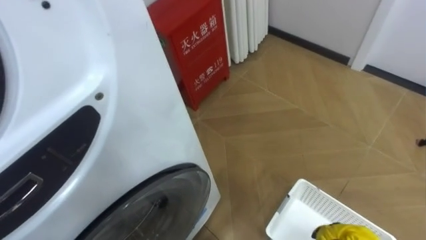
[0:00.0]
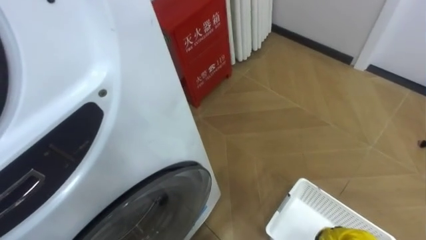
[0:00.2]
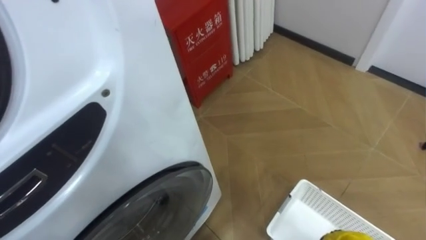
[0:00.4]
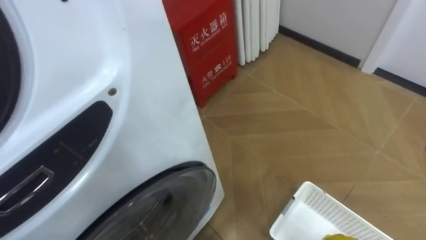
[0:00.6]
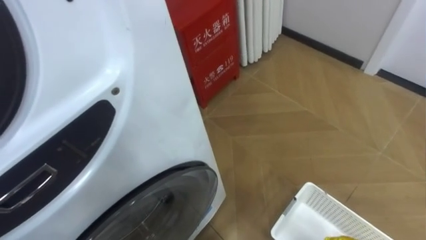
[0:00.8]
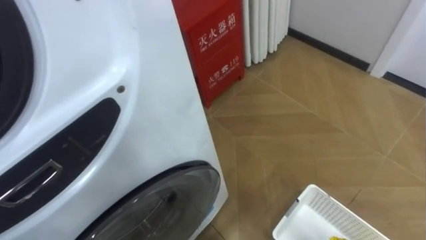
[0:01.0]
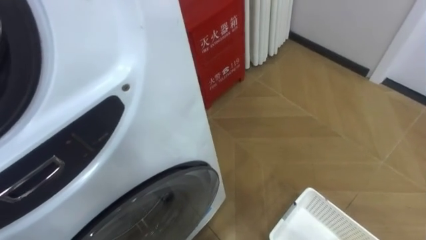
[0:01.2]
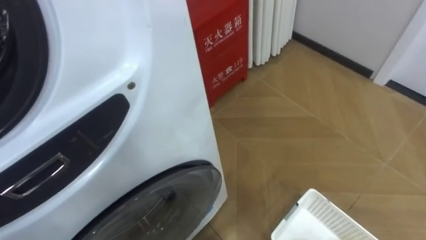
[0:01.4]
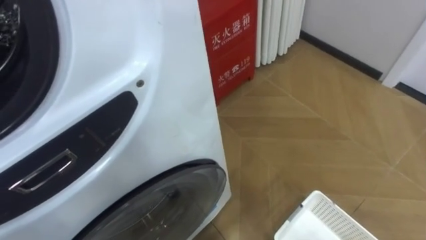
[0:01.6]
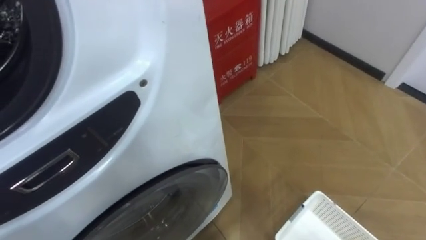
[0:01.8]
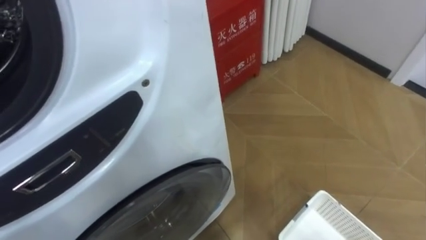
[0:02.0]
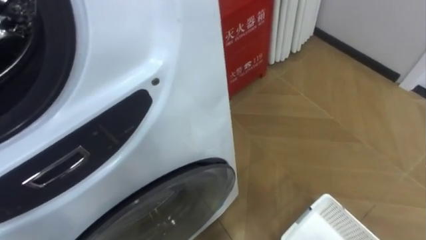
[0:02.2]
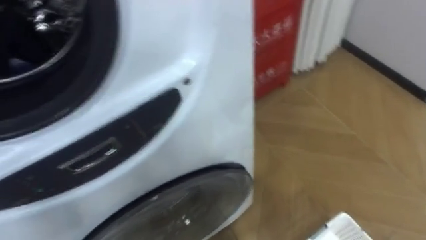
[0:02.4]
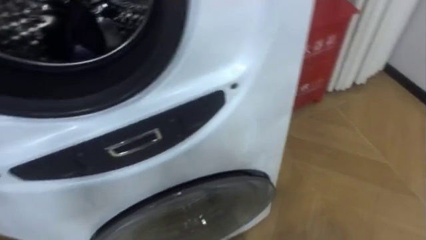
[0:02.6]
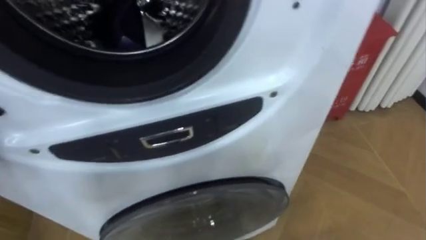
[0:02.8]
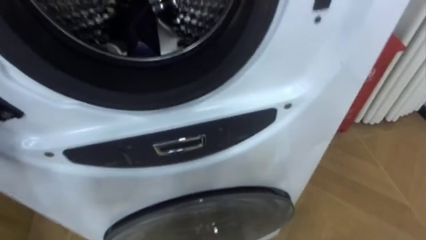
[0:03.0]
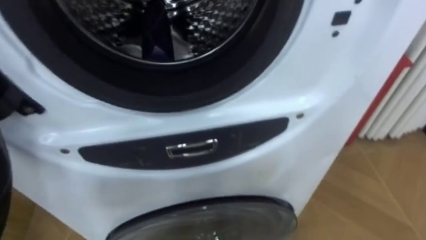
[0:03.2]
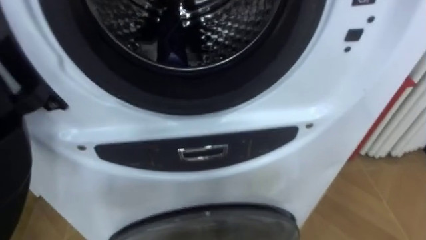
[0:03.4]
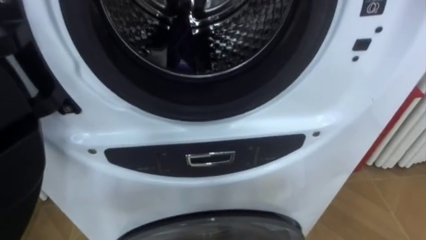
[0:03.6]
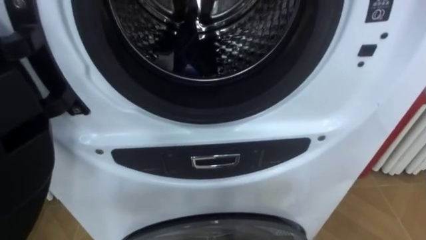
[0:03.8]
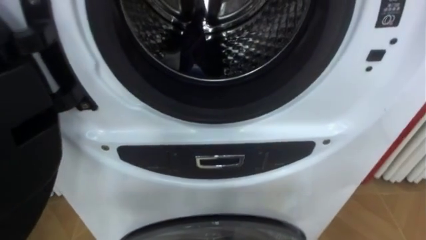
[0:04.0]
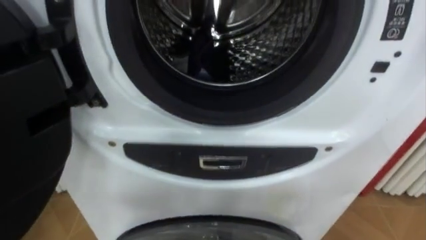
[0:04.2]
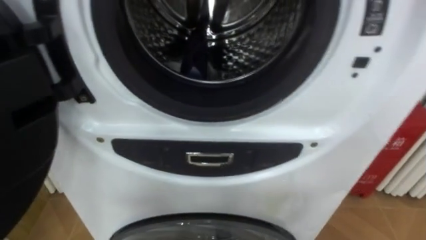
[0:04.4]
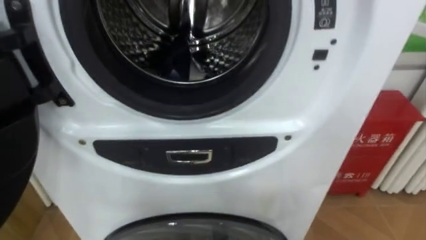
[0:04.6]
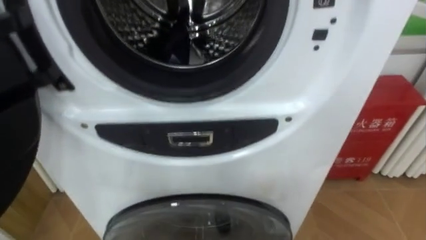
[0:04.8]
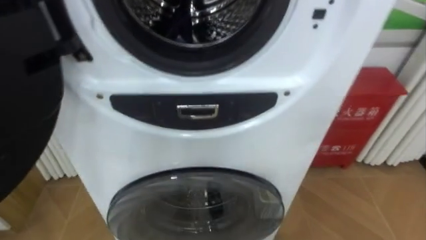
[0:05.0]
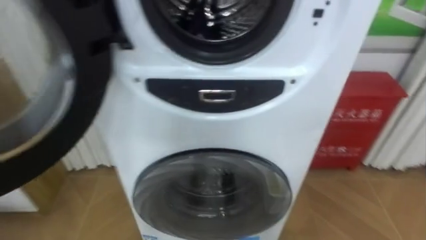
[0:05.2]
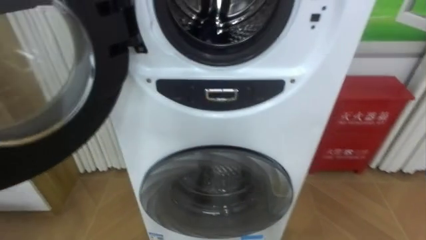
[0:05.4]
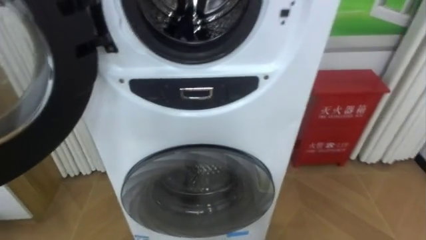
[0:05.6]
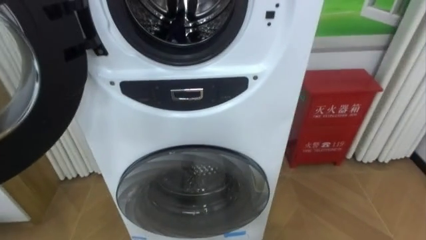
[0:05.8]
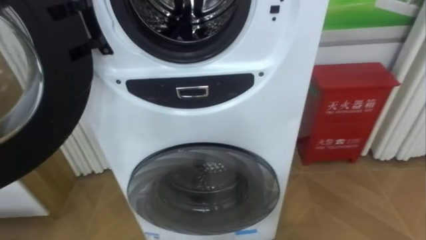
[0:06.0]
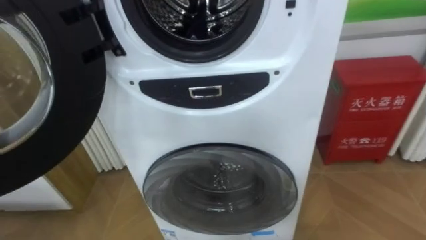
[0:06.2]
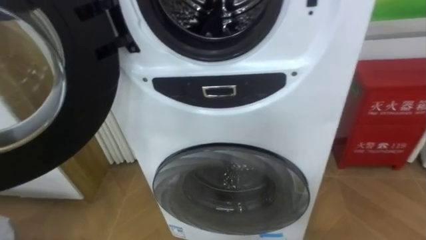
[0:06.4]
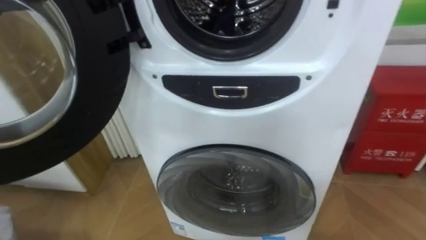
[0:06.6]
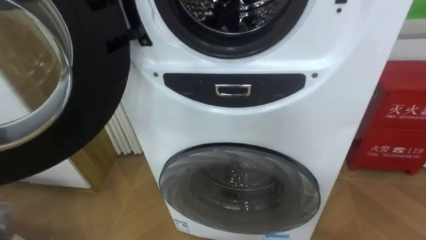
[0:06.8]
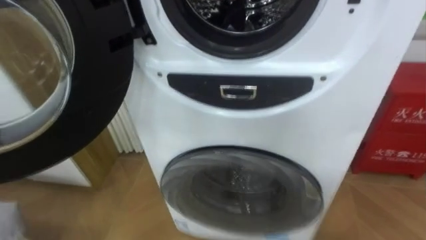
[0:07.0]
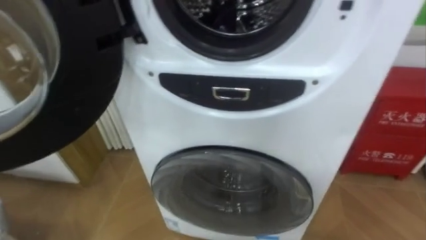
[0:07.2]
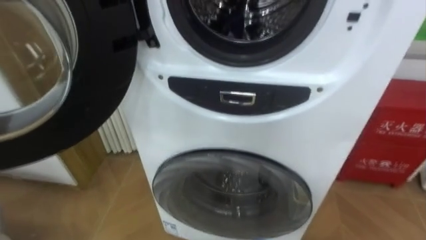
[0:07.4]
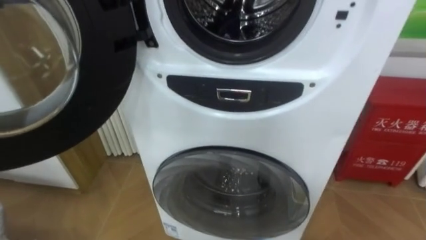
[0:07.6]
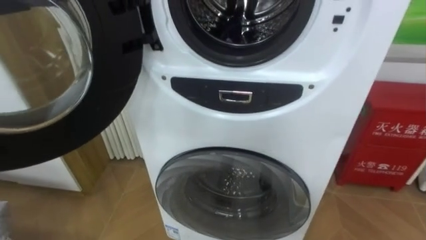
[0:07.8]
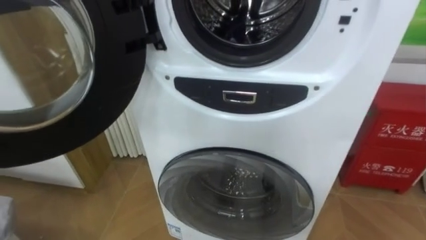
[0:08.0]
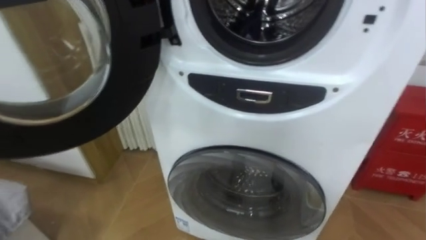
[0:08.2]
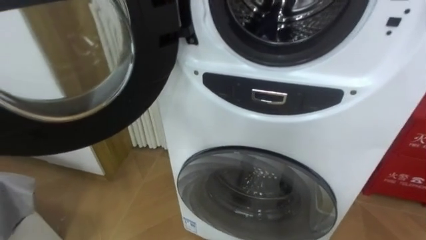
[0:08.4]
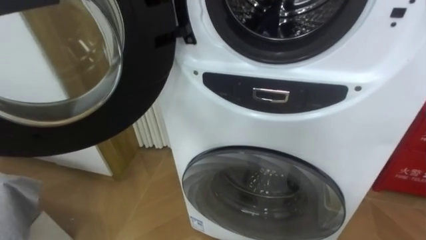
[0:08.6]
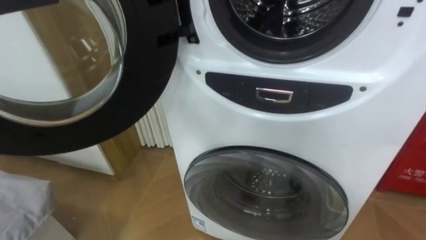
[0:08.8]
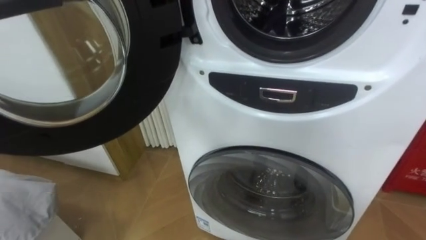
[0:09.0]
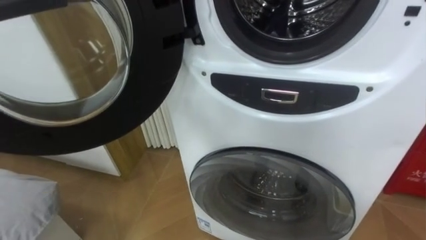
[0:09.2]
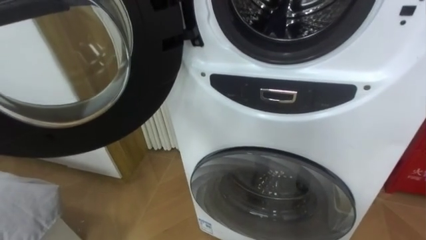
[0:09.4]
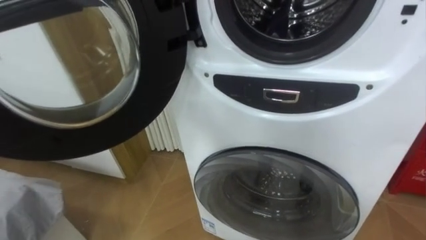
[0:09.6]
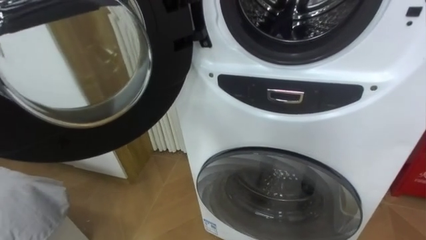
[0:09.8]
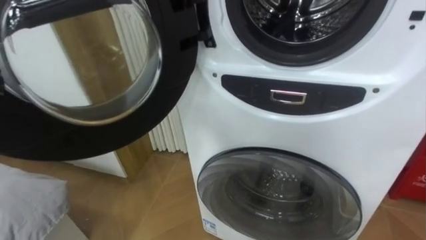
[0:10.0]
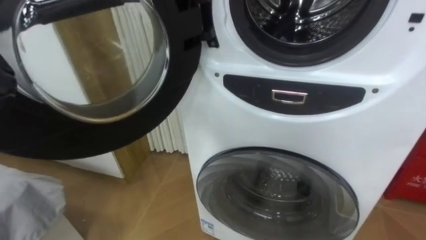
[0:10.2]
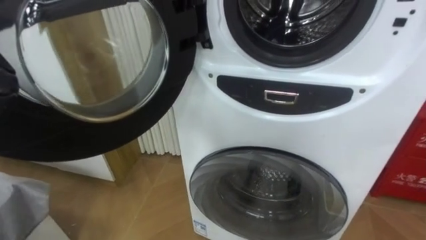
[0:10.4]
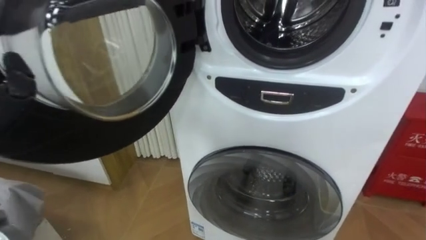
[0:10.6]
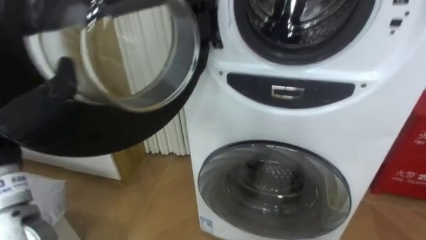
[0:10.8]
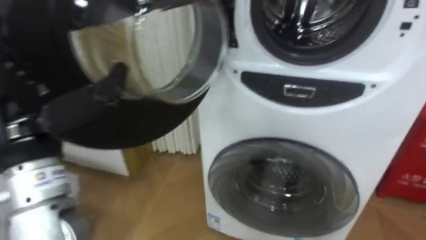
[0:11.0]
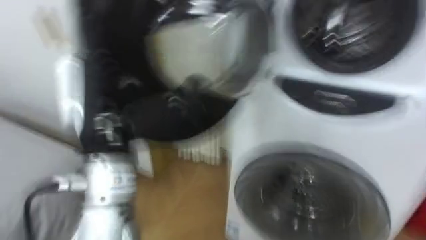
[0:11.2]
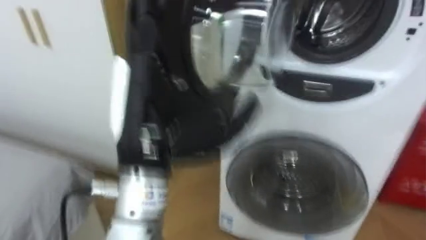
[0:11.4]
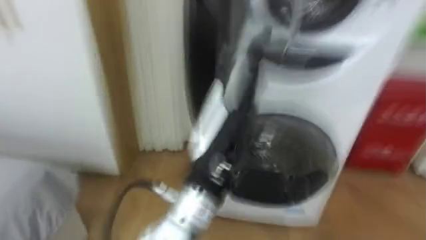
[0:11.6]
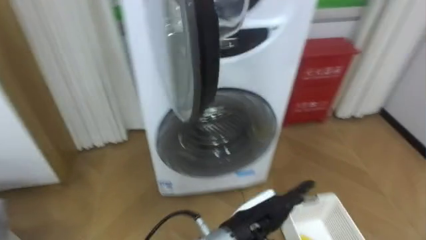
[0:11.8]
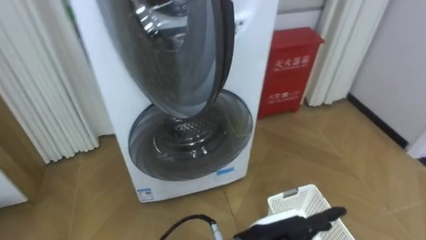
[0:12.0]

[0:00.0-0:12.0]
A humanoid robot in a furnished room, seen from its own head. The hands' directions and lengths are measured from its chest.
Task of the whole recording: Open the washing machine door, take out the yellow clothes, place them in the box on the right, and close the washing machine door.
0:01.6 to 0:03.0: The robot rotates roughly 20 degrees to its left.

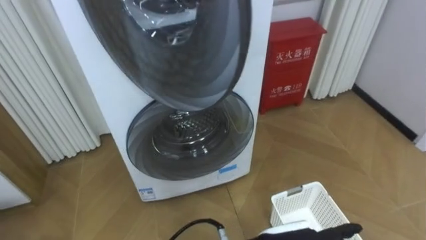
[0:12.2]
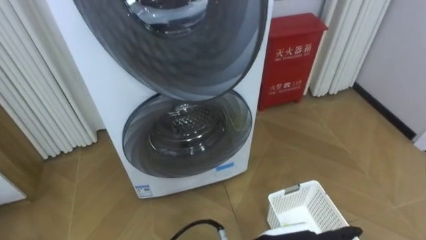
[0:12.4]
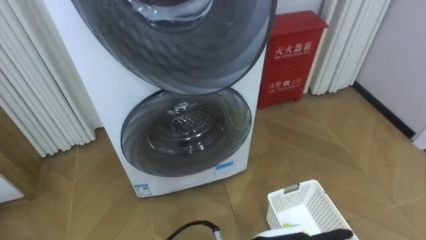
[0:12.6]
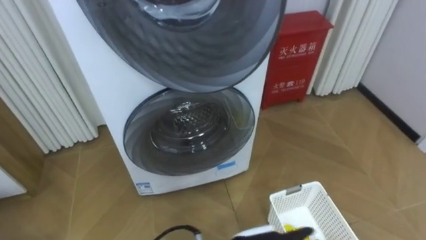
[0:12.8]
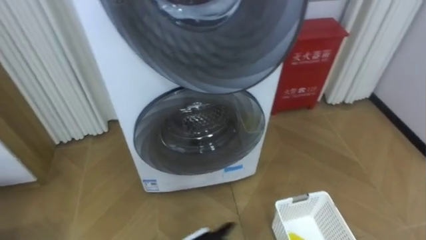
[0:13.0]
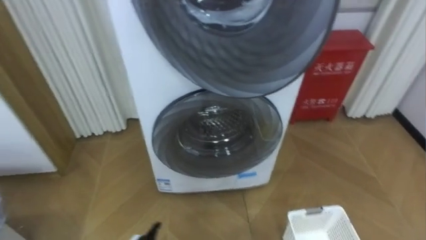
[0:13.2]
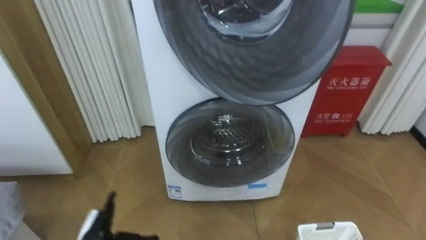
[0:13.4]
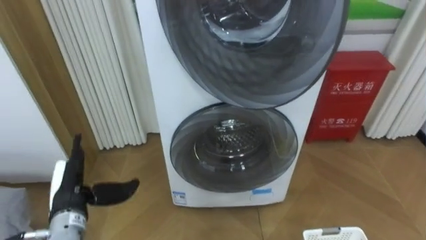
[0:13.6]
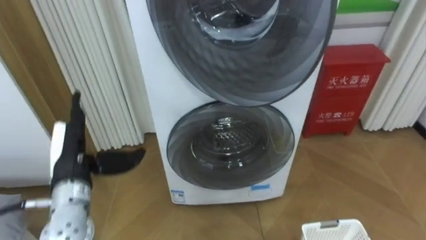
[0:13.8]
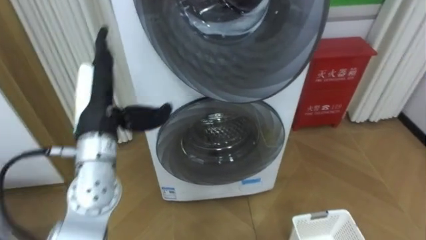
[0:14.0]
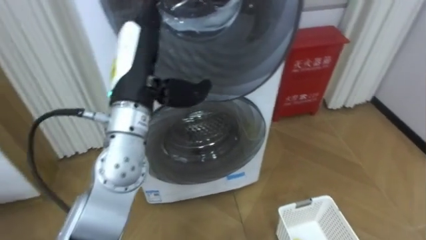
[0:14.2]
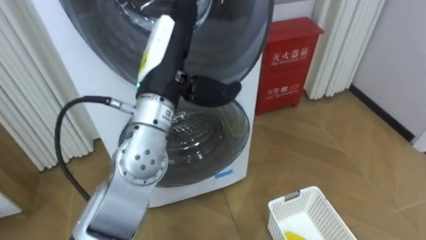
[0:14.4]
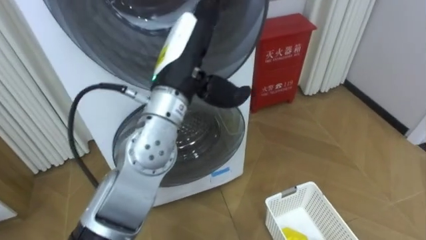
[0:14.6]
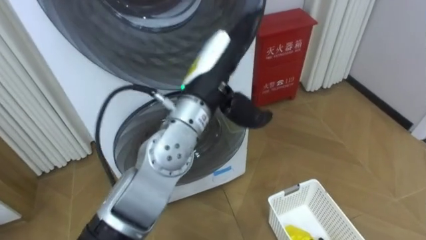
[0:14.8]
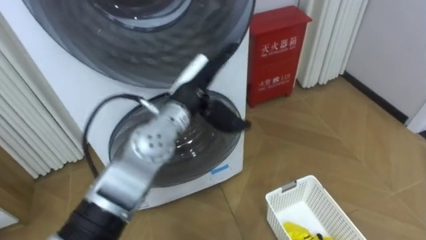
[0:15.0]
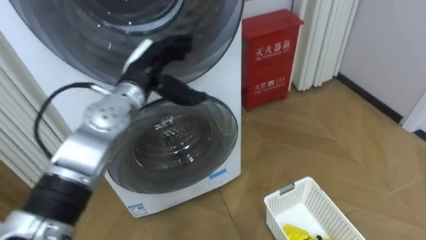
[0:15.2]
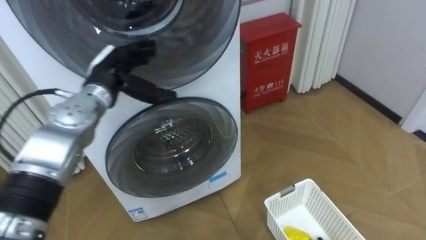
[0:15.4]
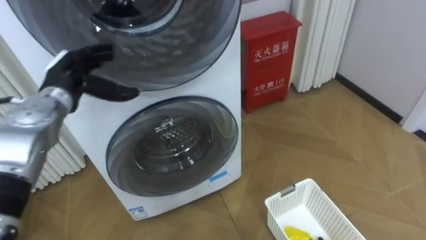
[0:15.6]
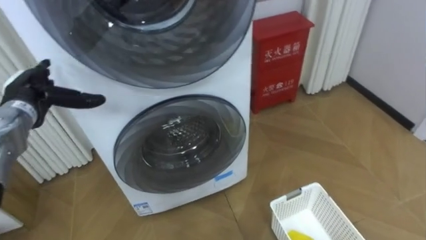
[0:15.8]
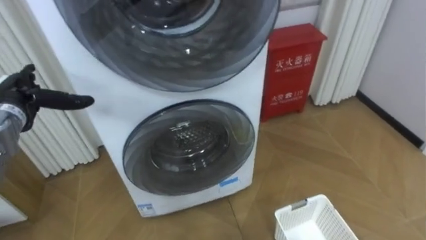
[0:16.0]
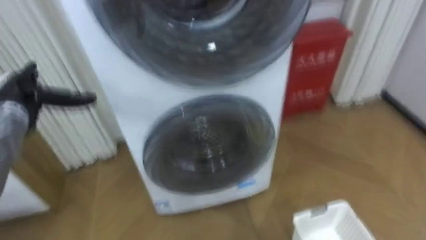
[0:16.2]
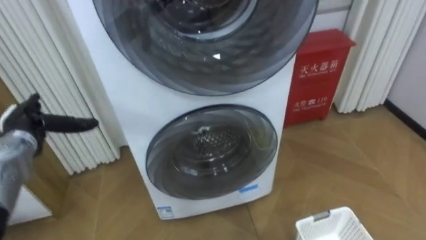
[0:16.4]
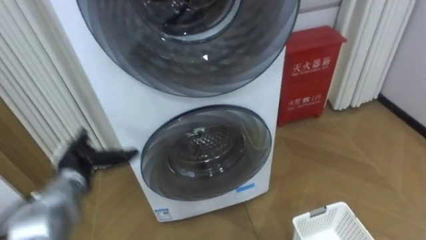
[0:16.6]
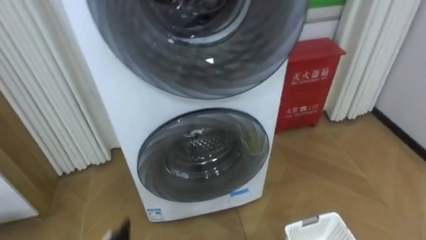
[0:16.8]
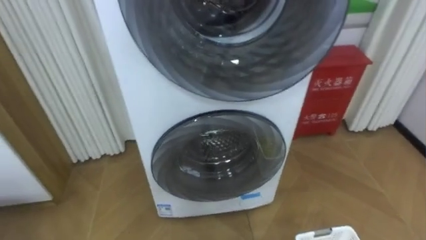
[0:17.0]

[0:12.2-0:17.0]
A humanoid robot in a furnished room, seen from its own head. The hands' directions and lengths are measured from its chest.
Task of the whole recording: Open the washing machine door, take out the yellow clothes, place them in the box on the right, and close the washing machine door.
0:13.8 to 0:15.4: The left hand is displaced forward and upward by about 15 cm, and travels to the right and back again, approximately 25 cm each way.
